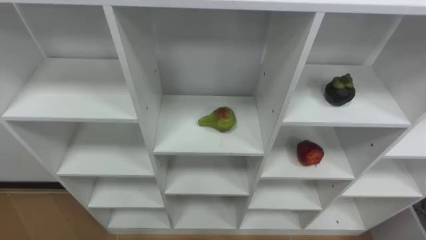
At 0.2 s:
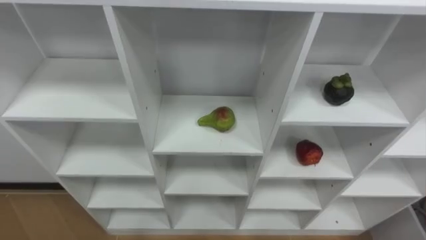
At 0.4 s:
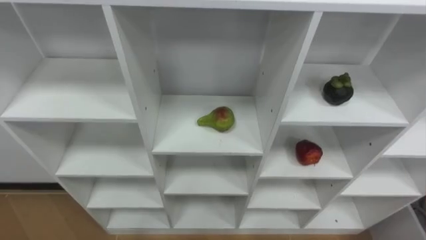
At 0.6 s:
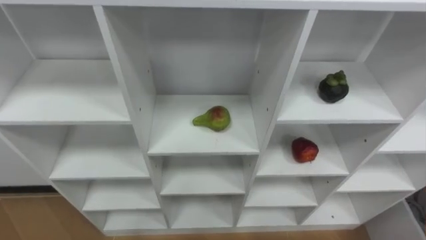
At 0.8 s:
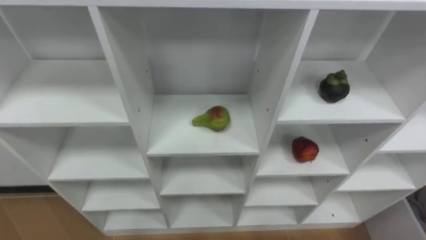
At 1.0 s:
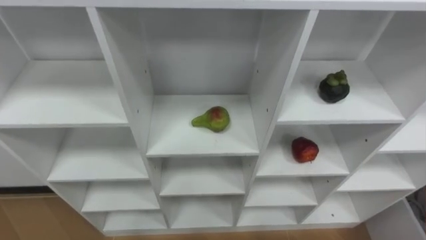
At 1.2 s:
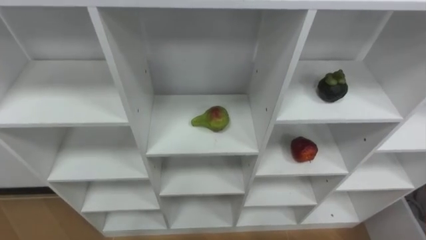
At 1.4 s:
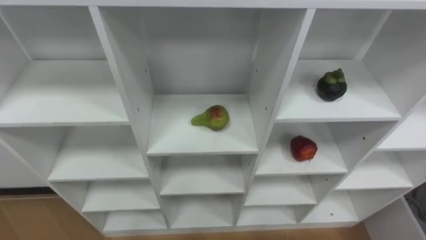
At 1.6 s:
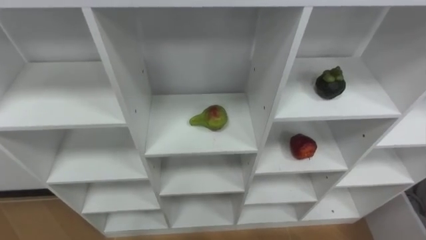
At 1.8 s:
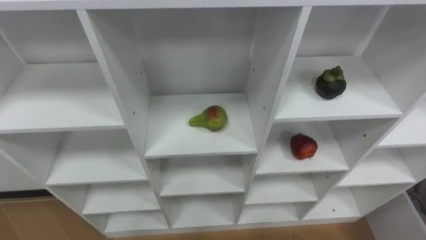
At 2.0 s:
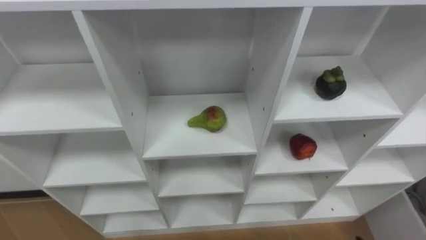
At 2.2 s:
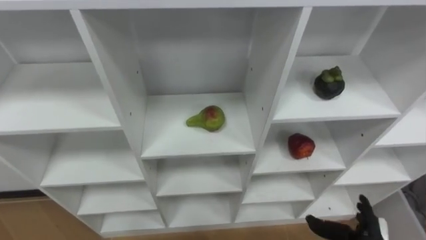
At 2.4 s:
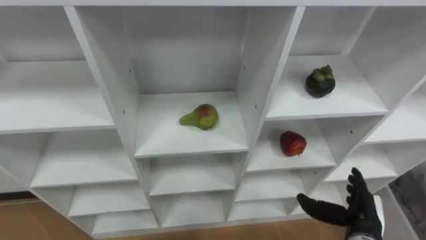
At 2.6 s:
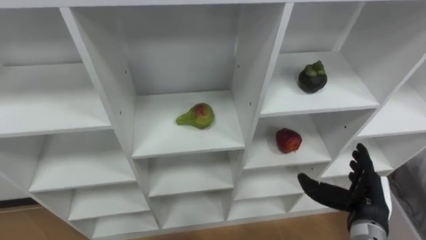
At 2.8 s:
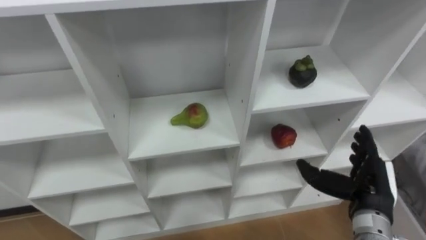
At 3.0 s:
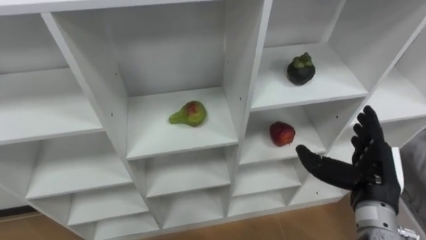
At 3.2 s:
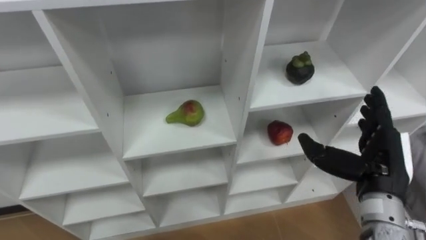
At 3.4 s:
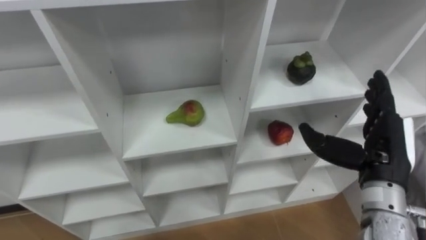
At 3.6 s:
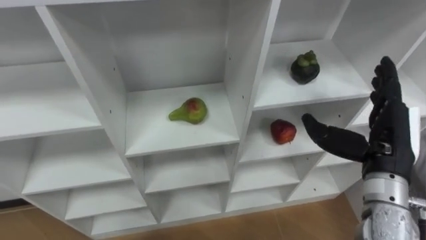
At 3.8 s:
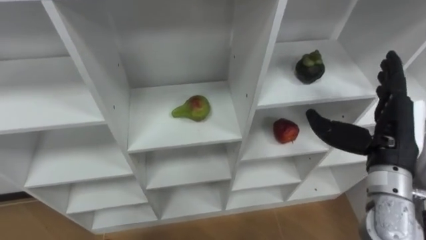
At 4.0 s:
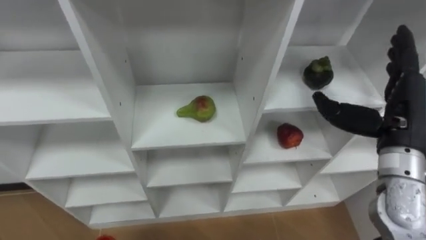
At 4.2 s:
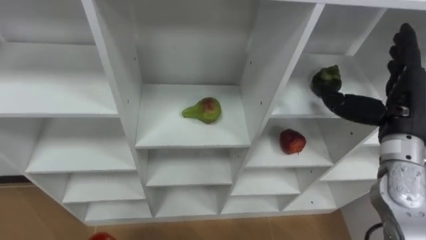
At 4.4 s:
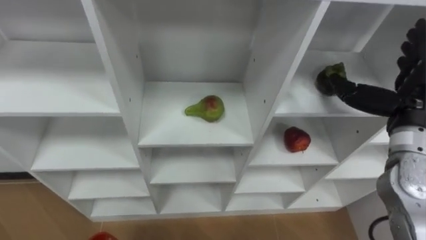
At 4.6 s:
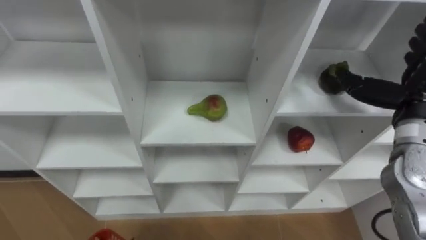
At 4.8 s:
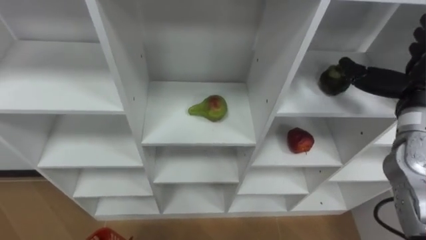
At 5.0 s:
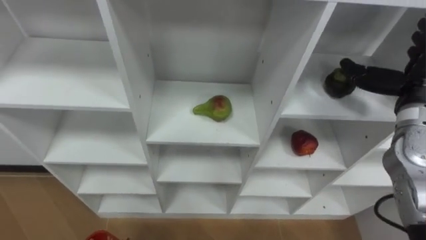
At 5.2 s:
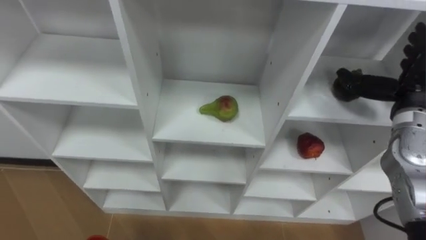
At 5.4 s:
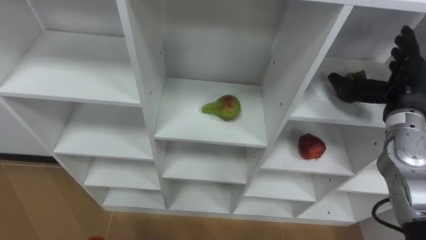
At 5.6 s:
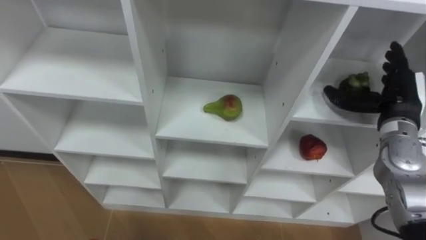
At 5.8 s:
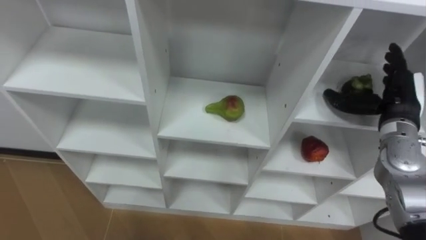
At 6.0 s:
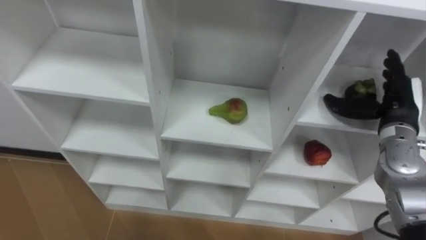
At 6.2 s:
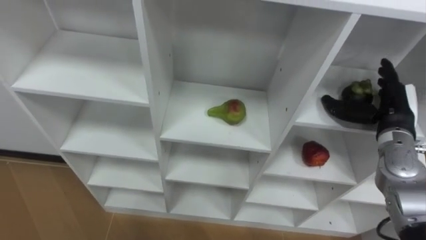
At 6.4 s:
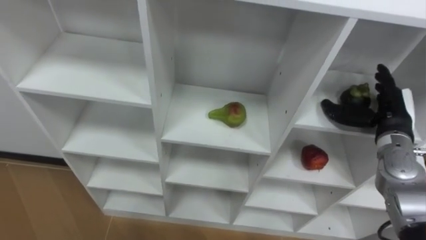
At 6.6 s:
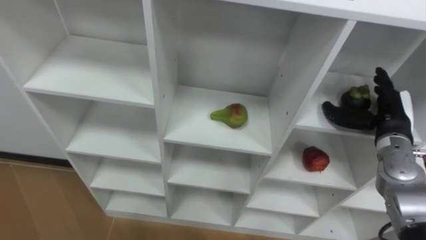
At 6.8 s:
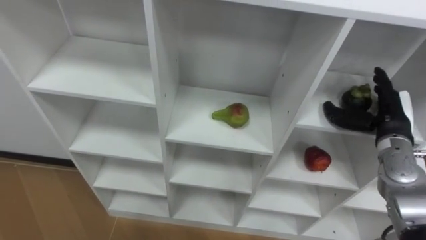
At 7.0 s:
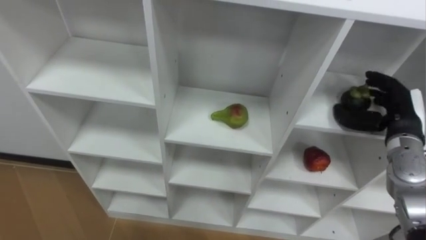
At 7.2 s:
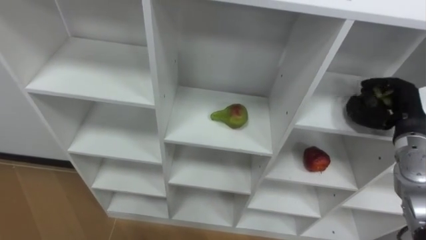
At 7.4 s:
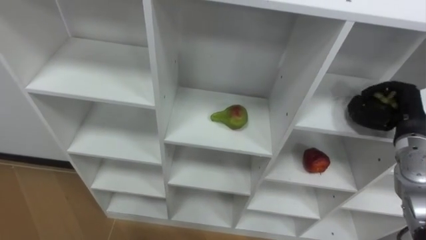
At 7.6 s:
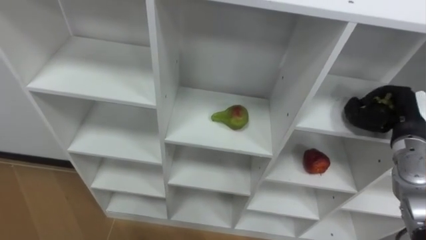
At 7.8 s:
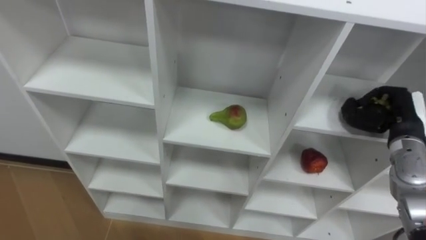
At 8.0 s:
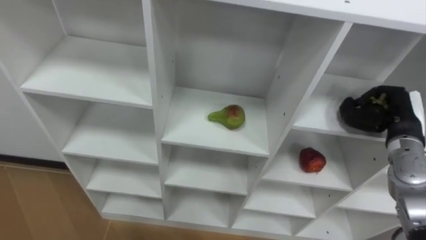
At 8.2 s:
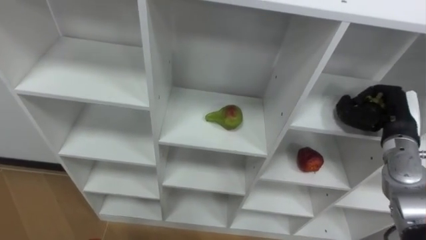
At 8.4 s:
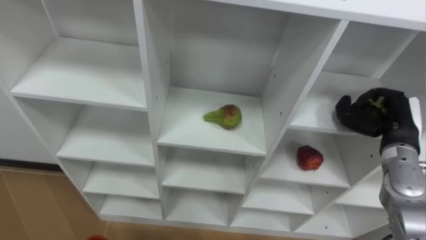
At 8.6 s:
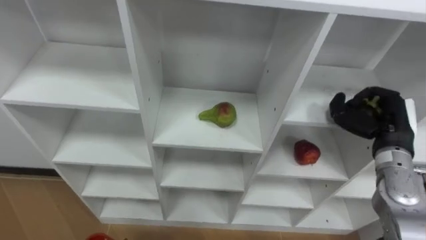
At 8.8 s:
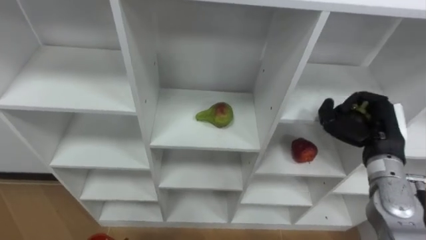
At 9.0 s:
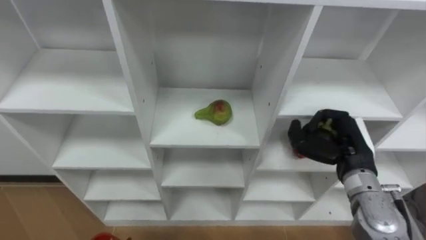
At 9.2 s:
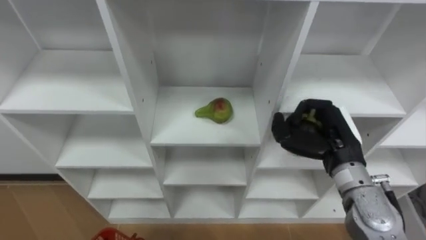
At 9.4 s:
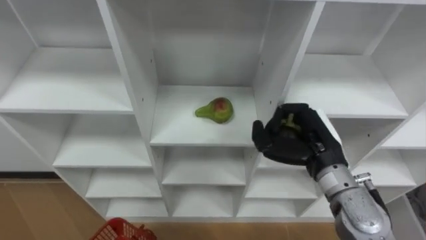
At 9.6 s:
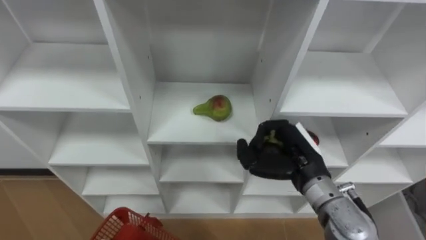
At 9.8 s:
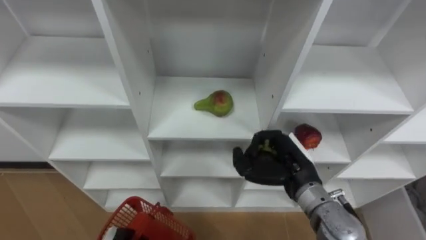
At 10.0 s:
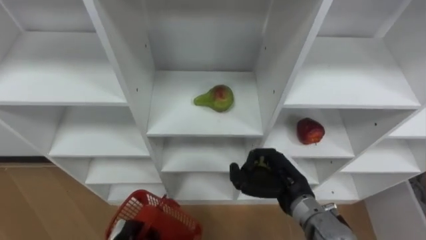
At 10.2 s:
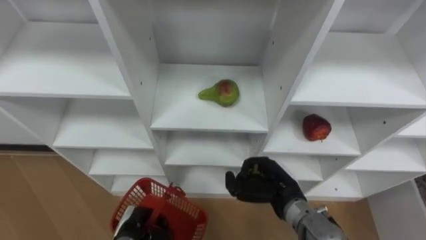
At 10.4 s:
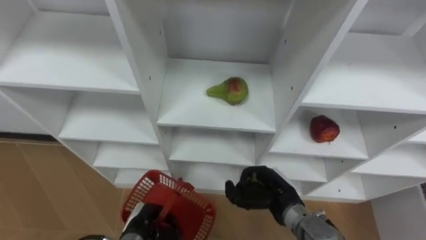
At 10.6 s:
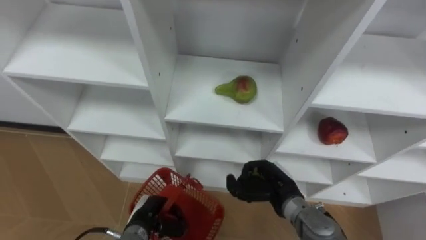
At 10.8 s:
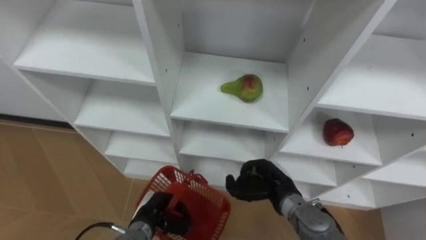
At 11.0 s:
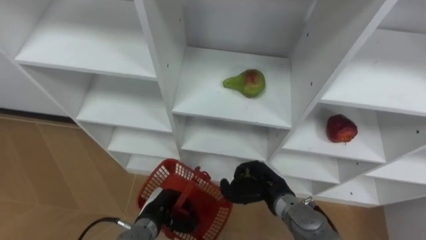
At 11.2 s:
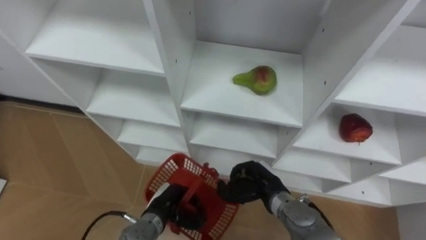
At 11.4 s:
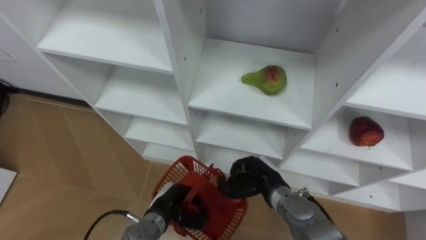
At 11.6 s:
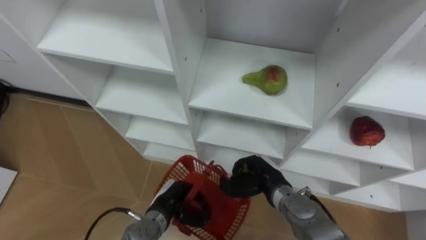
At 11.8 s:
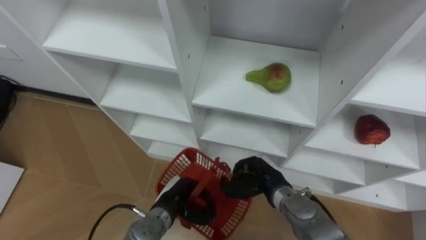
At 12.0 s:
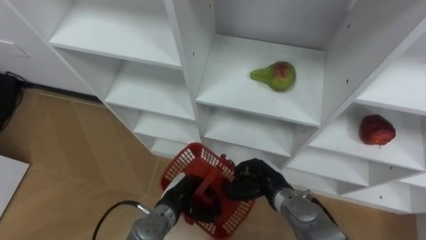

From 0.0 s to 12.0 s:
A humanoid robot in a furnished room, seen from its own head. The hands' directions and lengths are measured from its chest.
Task of the whole recording: Hold the basket and collect the fruits from 3 different cells of the closet into it.
From 3.0 s to 4.4 s: The right hand heads upward and forward, covering about 10 cm.
From 4.4 s to 6.0 s: The right hand moves downward, some 5 cm.
From 6.0 s to 7.6 s: The right hand closes.
From 7.6 s to 9.0 s: The right hand heads to the left, covering roughly 10 cm.
From 9.0 s to 10.4 s: The right hand shifts approximately 15 cm to the left and downward.
From 10.4 s to 12.0 s: The left hand shifts about 10 cm to the right.

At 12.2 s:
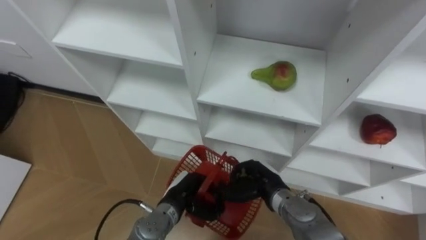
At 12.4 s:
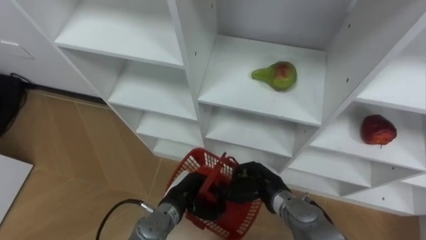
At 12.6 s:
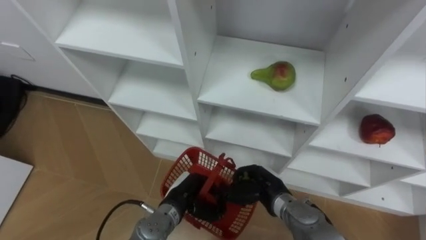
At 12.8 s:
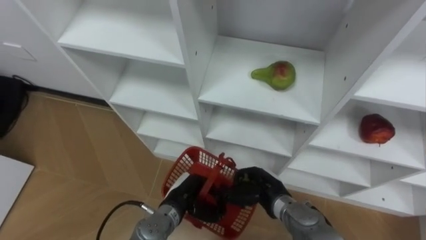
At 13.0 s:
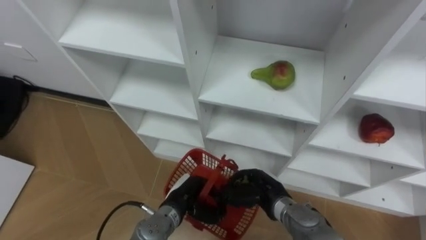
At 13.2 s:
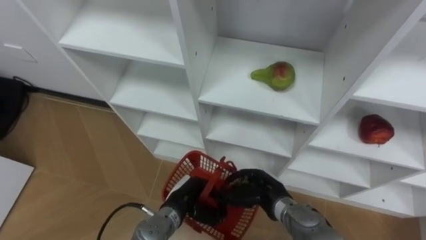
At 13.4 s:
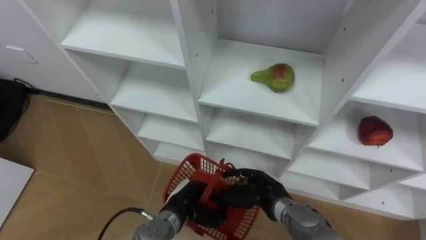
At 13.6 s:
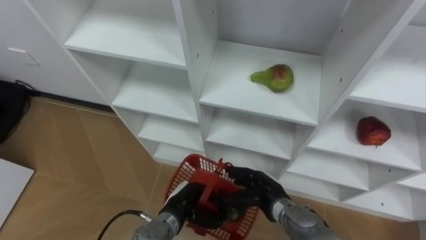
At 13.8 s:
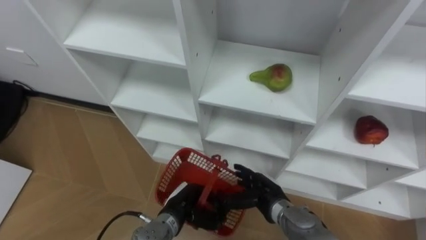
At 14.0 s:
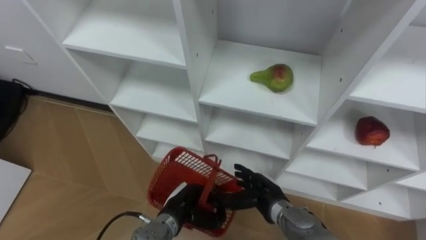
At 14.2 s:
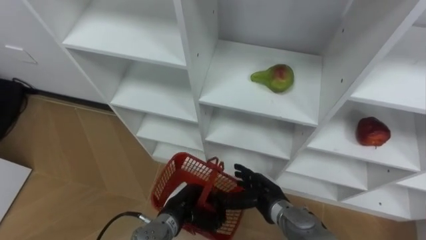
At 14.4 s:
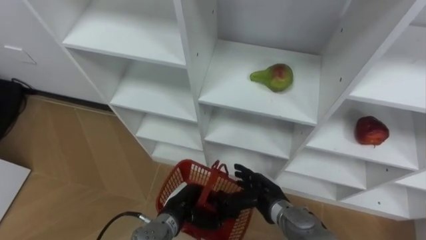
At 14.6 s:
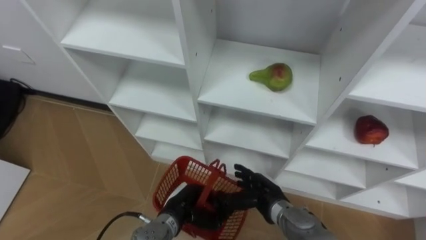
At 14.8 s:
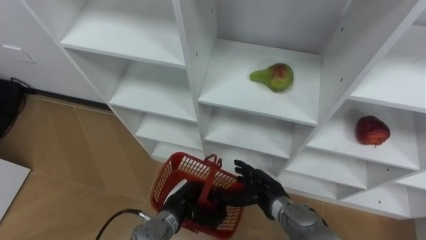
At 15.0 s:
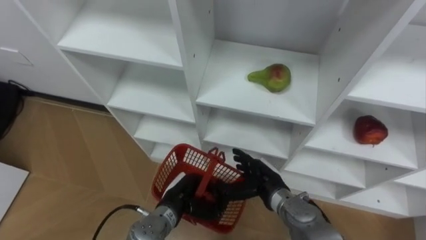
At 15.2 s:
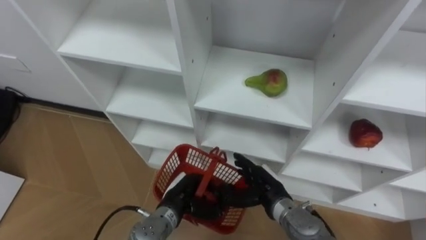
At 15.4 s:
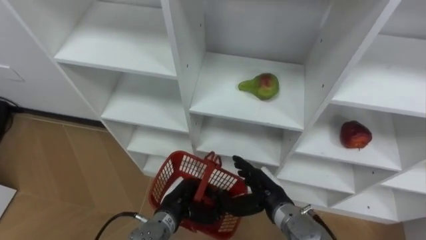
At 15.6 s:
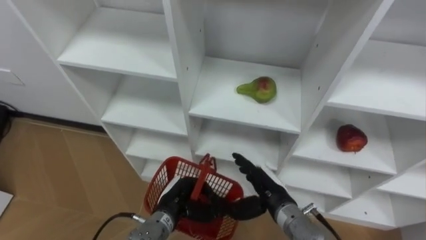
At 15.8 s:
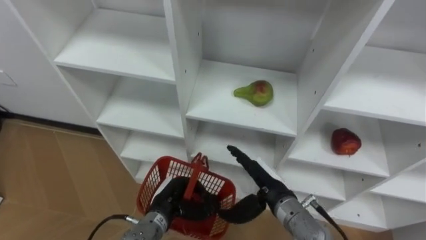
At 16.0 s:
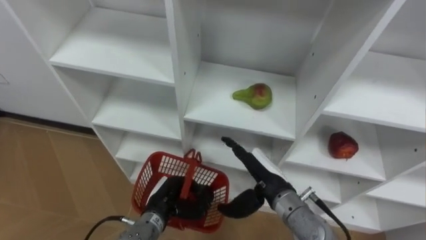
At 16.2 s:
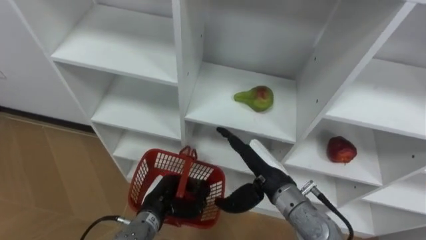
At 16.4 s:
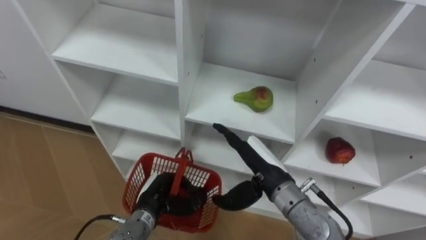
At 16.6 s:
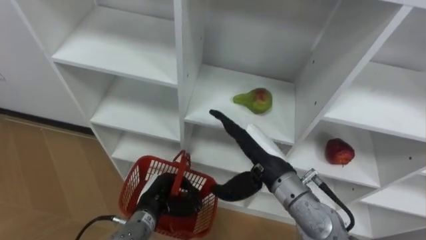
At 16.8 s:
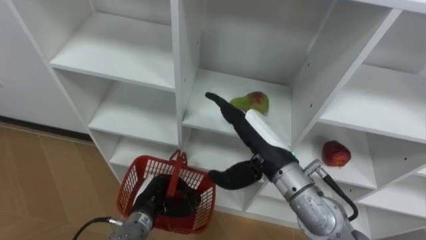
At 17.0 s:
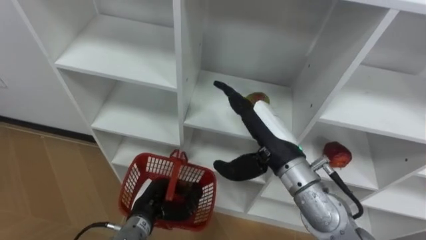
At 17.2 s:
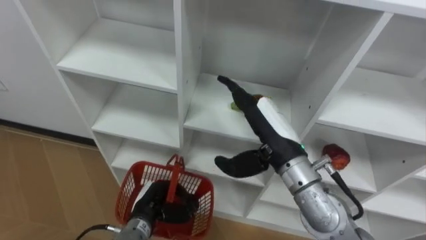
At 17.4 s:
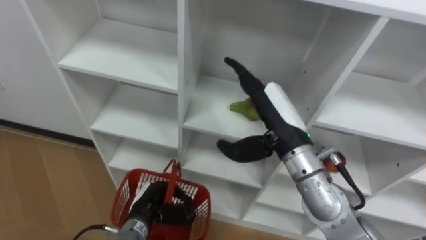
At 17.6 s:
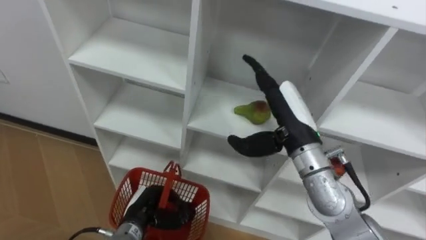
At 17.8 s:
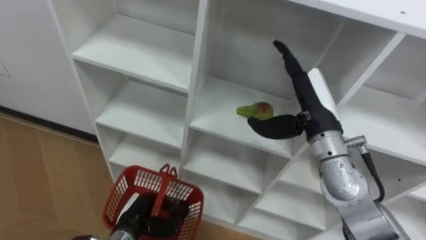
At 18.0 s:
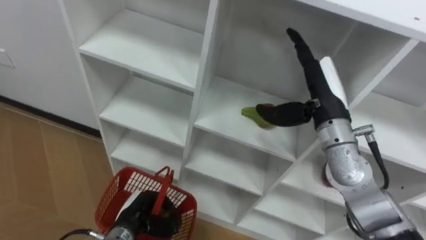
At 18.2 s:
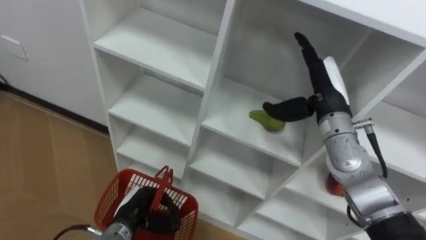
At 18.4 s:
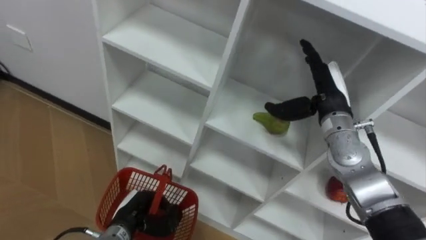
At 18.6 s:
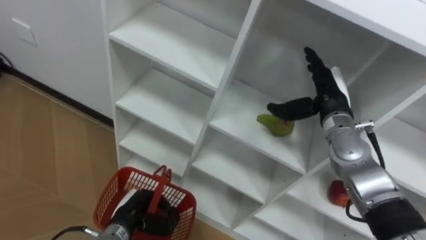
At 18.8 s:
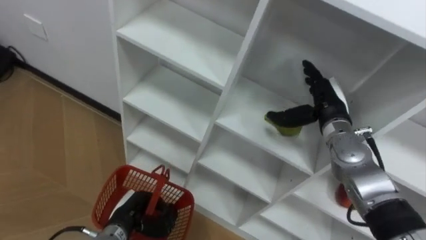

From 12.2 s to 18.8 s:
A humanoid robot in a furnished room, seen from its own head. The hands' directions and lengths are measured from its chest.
Task of the whole recording: Hold the basket and collect the fruits from 3 different cells of the closet into it.
From 12.2 s to 13.8 s: The right hand opens.
From 15.4 s to 17.2 s: The right hand is displaced upward by approximately 20 cm, while the left hand heads to the left, covering some 5 cm.
From 17.2 s to 18.8 s: The right hand heads to the right and forward, covering approximately 15 cm.
